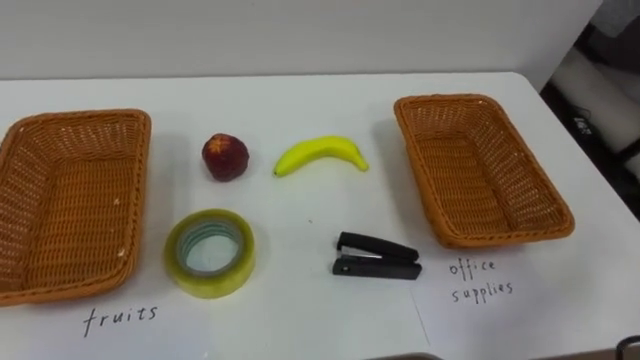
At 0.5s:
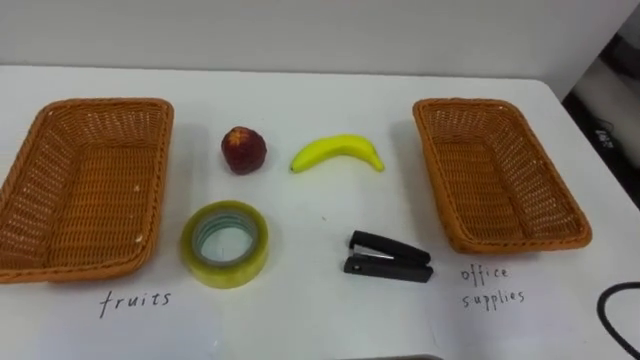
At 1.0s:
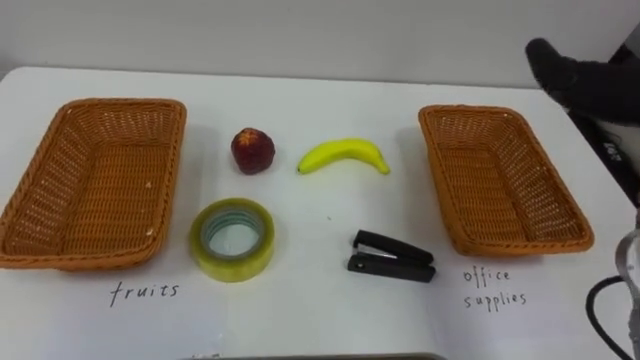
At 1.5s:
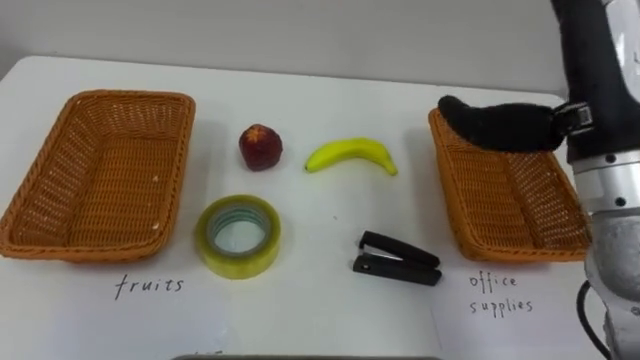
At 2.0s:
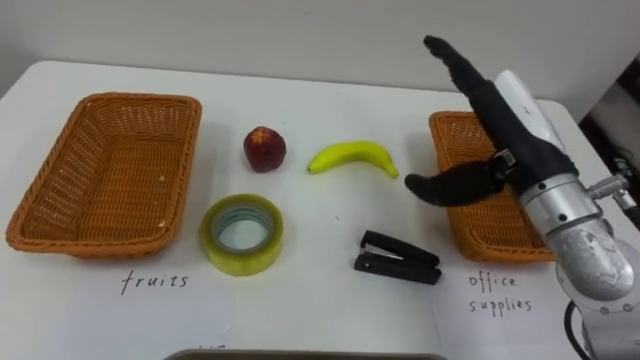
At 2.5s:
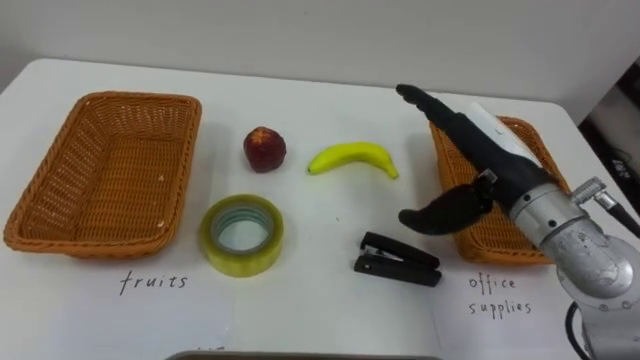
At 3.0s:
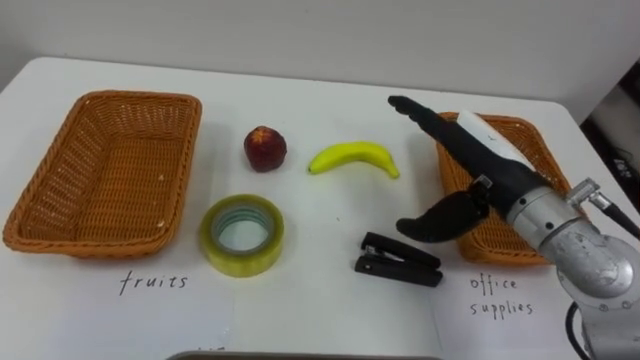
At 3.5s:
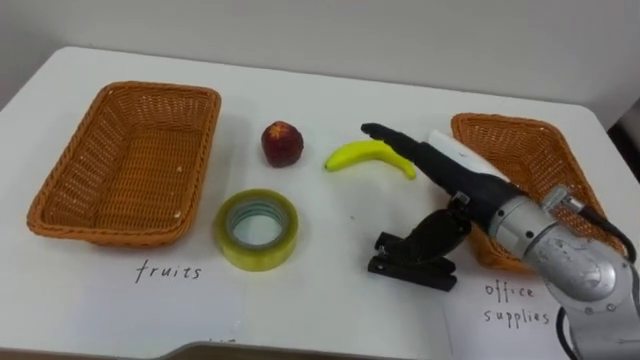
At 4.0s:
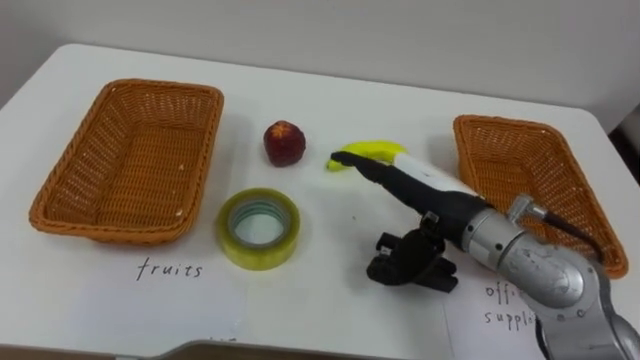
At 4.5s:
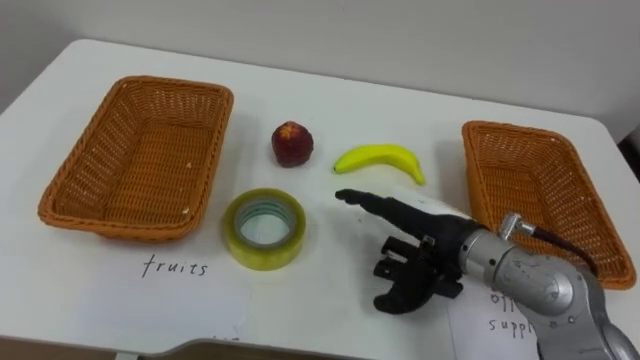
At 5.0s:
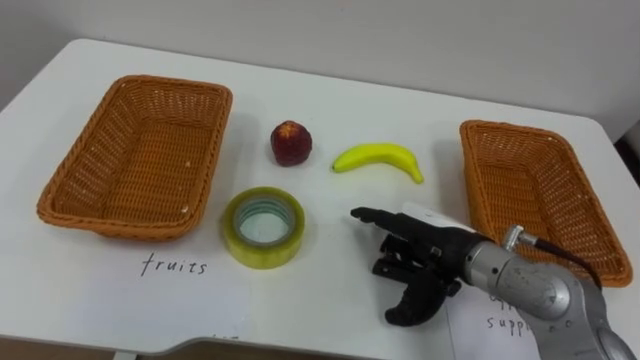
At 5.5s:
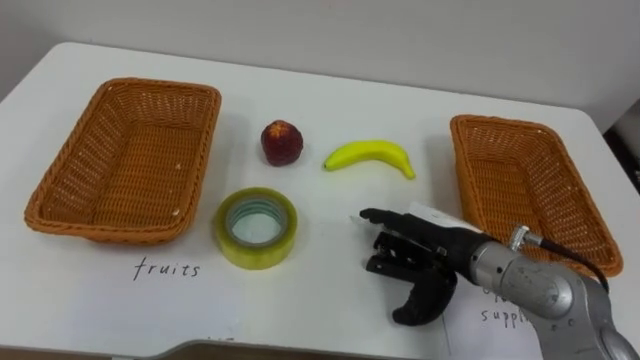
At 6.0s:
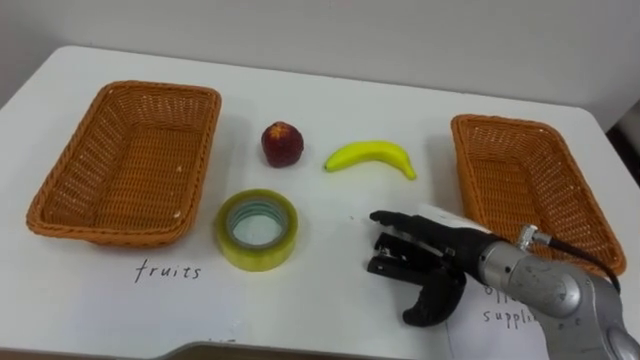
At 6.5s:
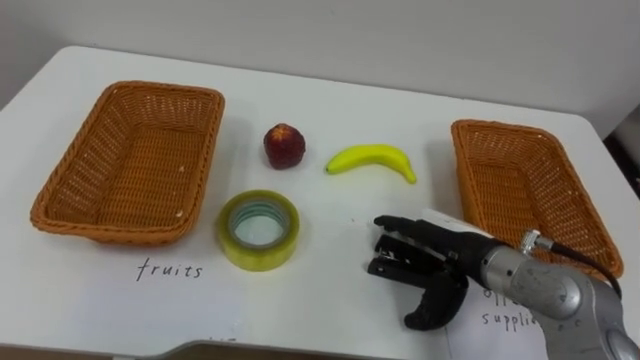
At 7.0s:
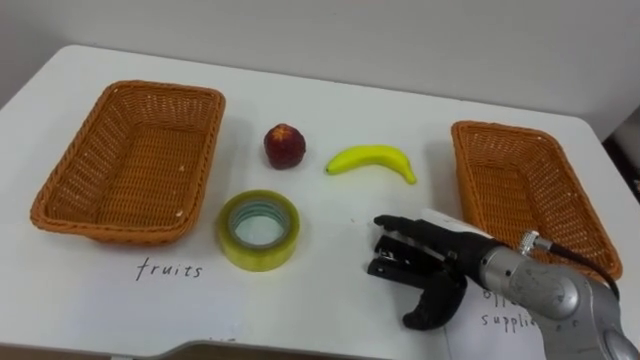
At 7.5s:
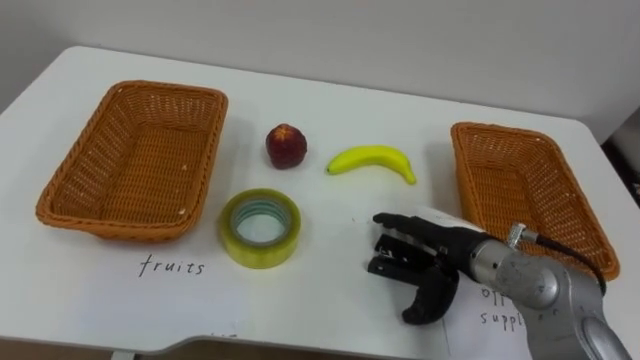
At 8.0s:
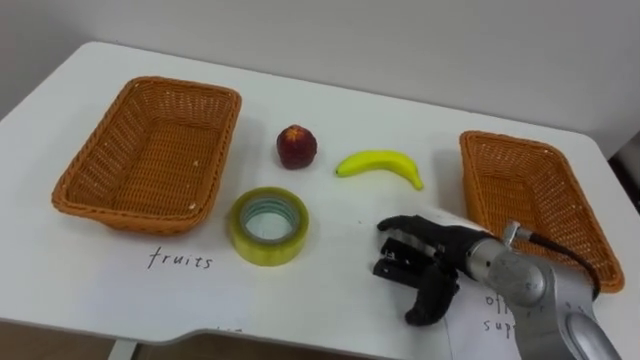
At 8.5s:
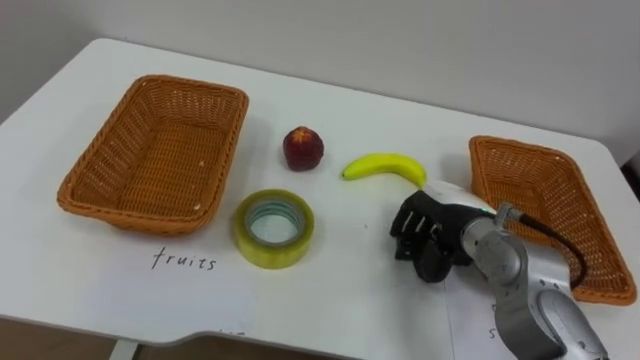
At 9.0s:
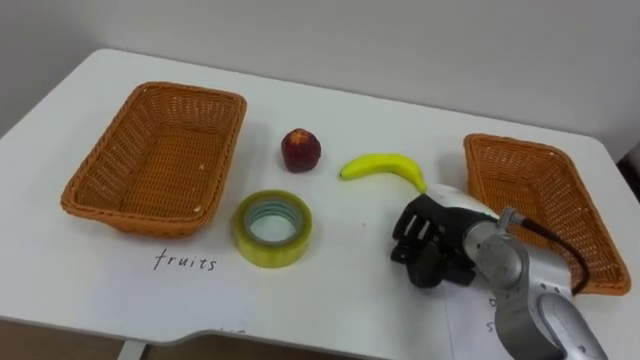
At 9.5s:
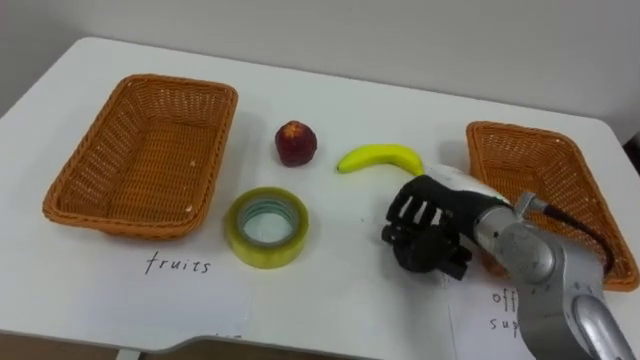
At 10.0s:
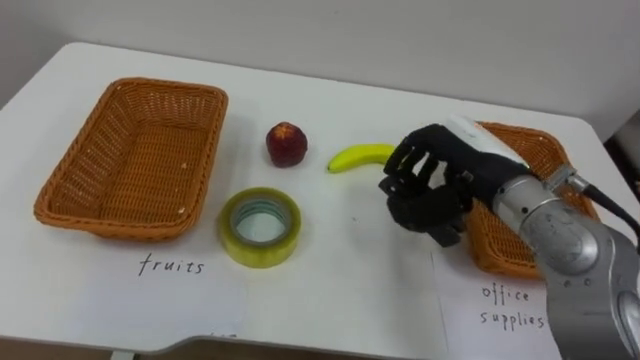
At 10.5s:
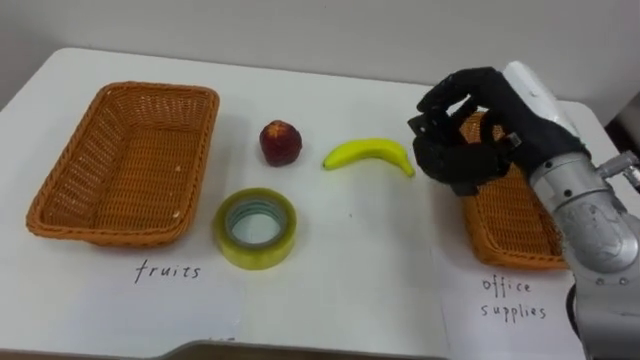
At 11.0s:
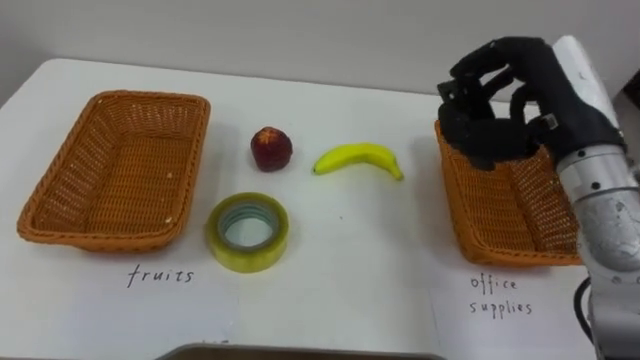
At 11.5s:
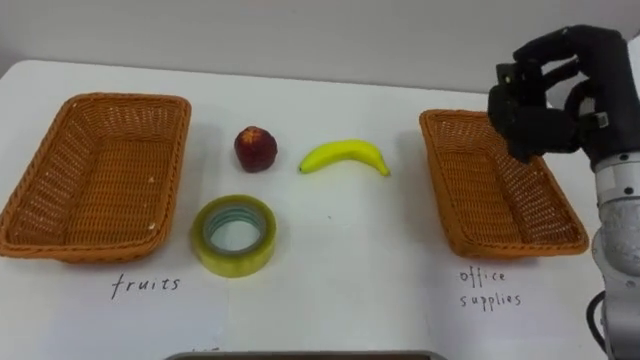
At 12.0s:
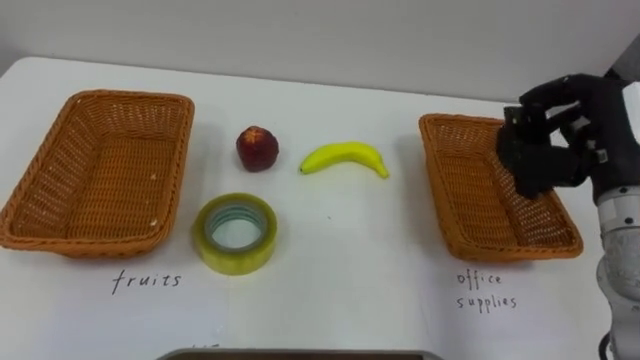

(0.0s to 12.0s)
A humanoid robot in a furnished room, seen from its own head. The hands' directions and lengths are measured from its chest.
Task of the whole recording: Separate the items on the table and place them into the two baskets.
2.0s - 4.0s: The right hand goes about 10 cm to the left and downward.
4.0s - 6.0s: The right hand heads downward, covering about 5 cm.
8.0s - 10.0s: The right hand heads upward, covering about 10 cm, and closes.
10.0s - 12.0s: The right hand heads to the right, covering about 15 cm.

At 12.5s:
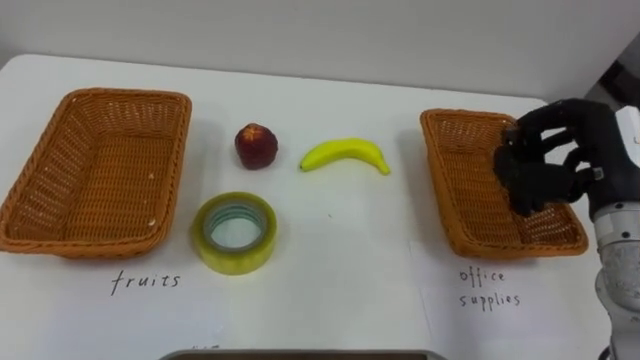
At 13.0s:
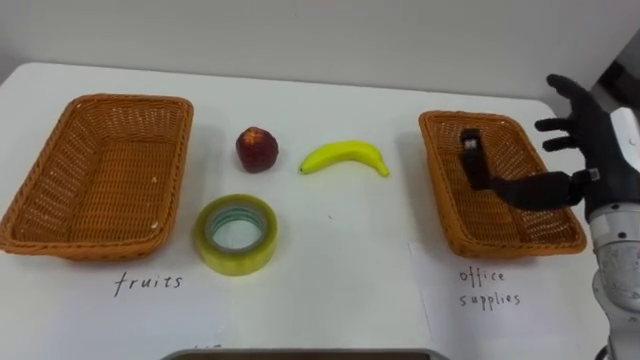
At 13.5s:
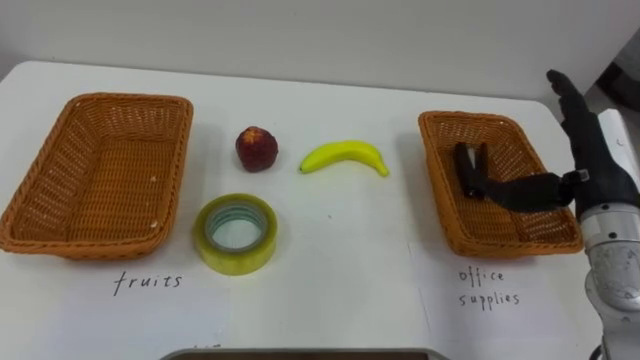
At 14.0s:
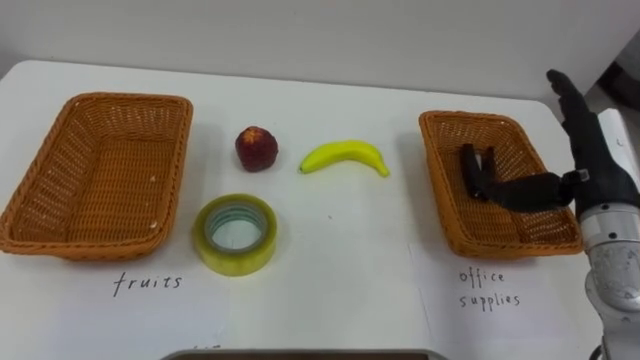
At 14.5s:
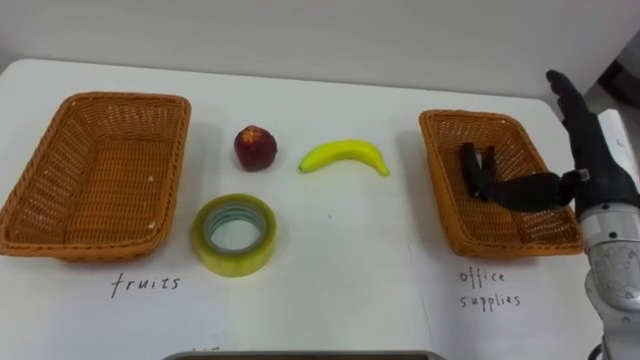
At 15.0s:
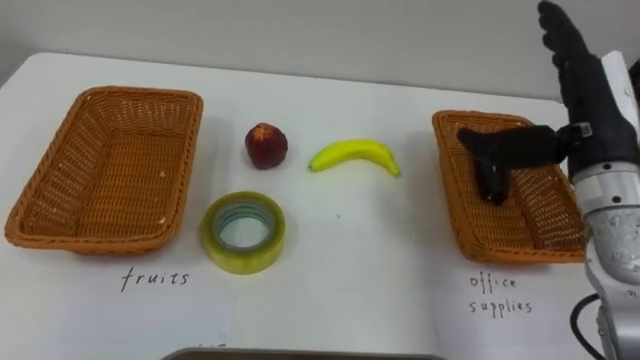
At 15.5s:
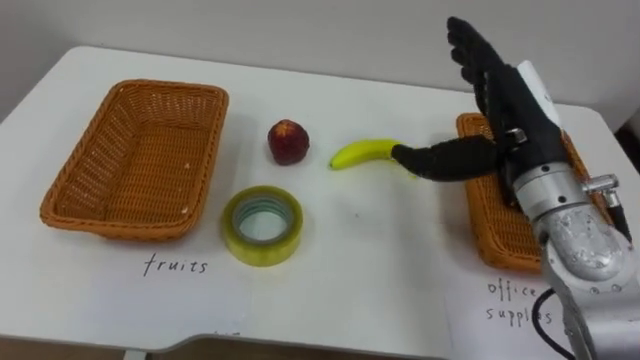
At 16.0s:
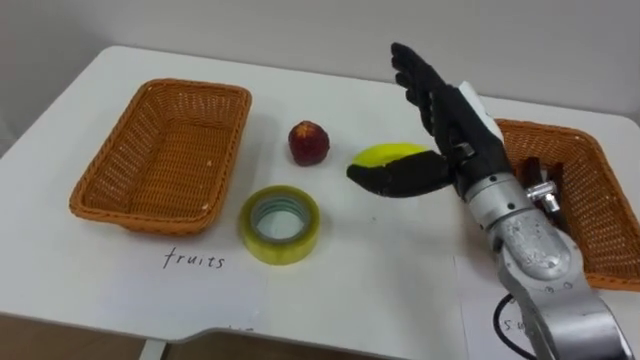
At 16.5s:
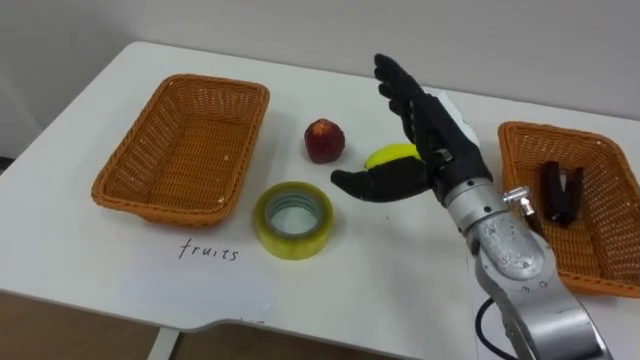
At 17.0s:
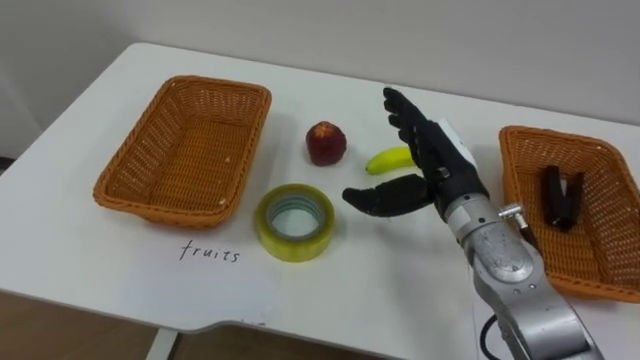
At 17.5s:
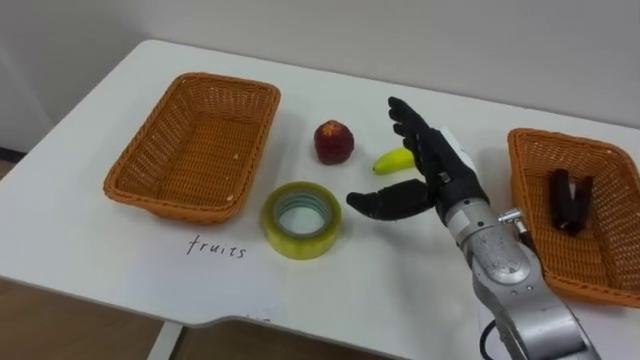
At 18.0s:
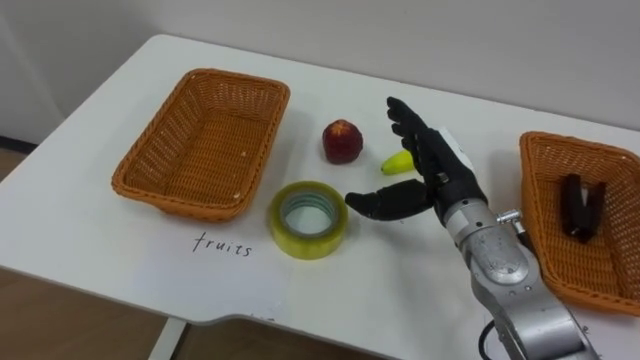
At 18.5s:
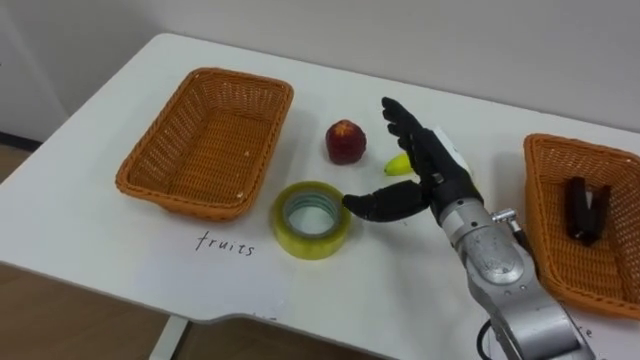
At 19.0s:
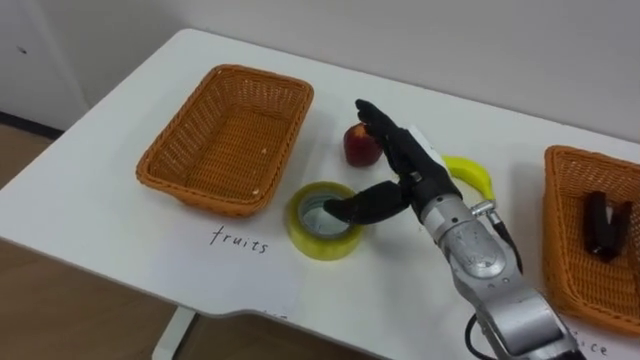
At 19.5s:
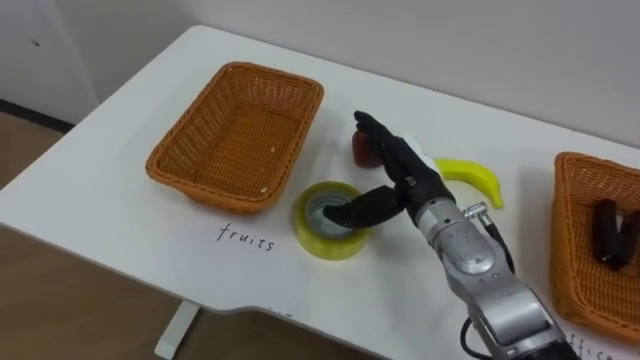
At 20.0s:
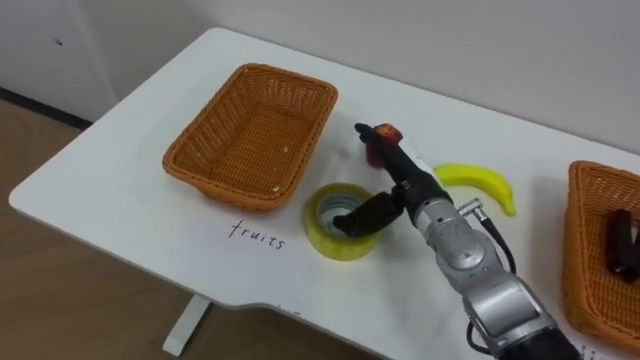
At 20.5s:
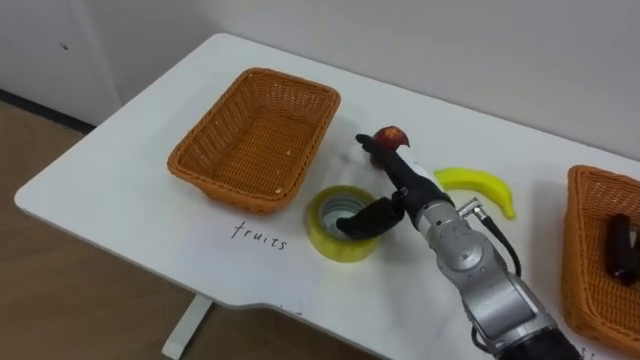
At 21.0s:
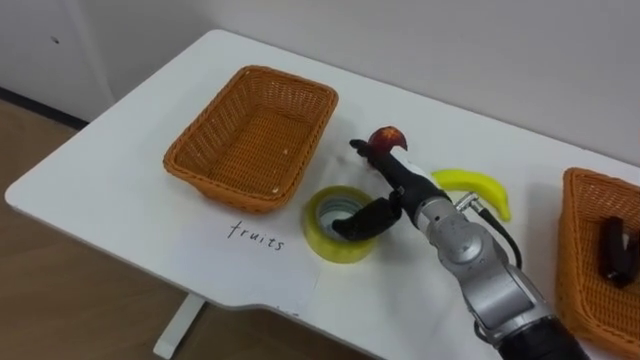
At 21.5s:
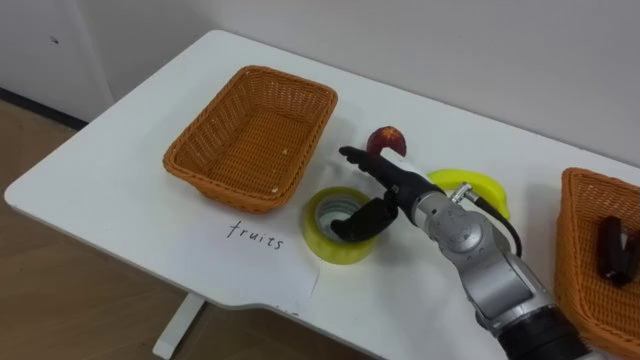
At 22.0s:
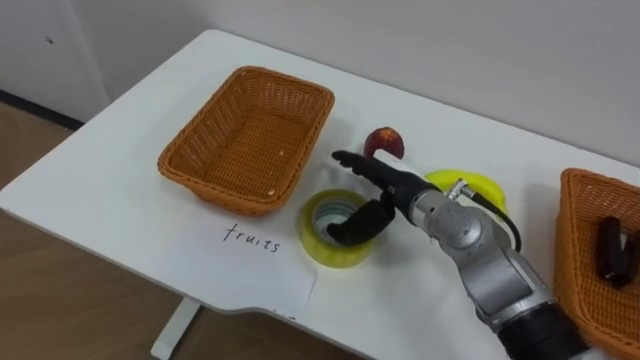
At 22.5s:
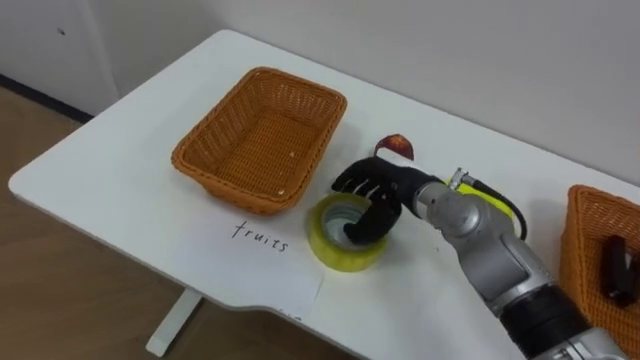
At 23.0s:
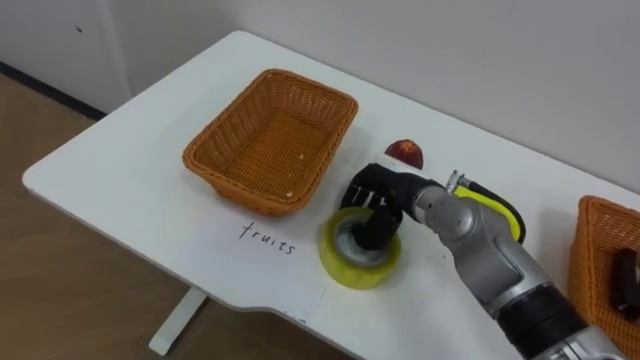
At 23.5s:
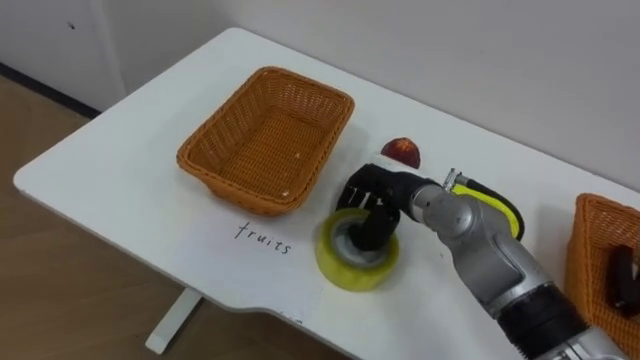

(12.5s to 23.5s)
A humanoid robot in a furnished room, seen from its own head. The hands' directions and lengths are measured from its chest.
Task of the whole recording: Separate the items on the table and place them into the two baskets.
12.5s - 14.5s: The right hand opens.
14.5s - 16.0s: The right hand is displaced to the left by approximately 15 cm.
16.0s - 18.0s: The right hand shifts approximately 5 cm downward.
18.0s - 20.0s: The right hand ends up approximately 5 cm from where it was.
21.5s - 23.5s: The right hand closes up.
